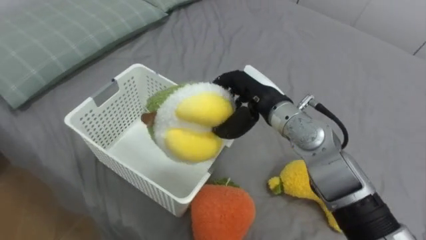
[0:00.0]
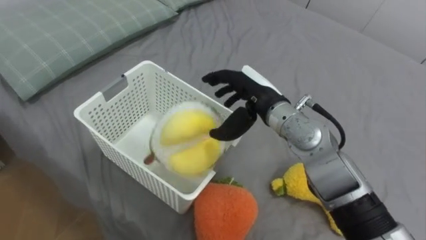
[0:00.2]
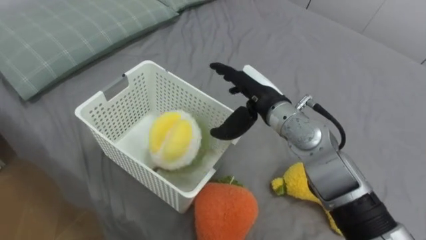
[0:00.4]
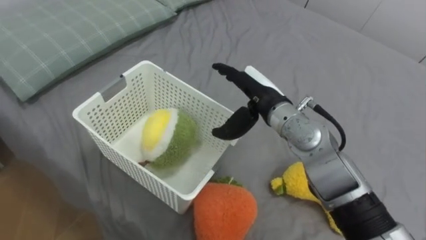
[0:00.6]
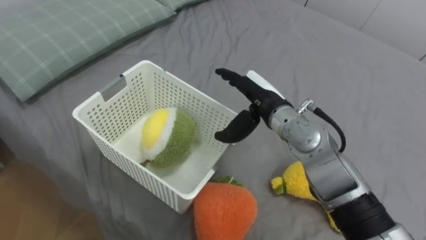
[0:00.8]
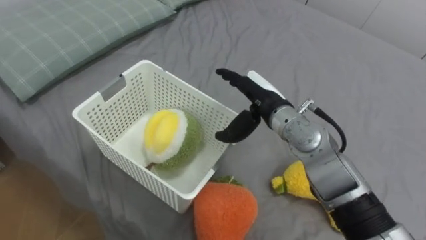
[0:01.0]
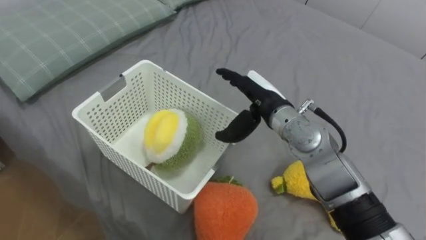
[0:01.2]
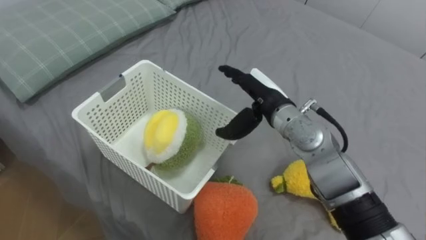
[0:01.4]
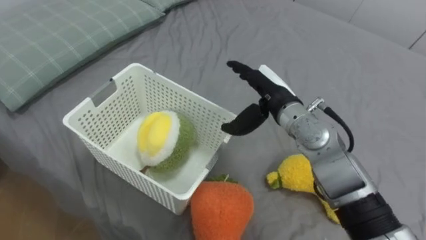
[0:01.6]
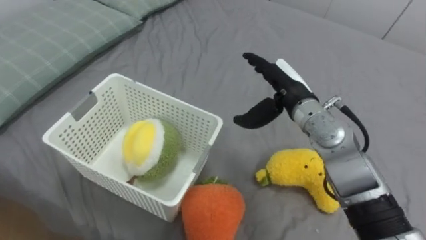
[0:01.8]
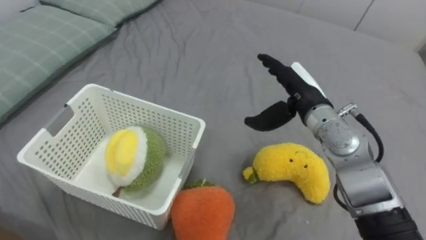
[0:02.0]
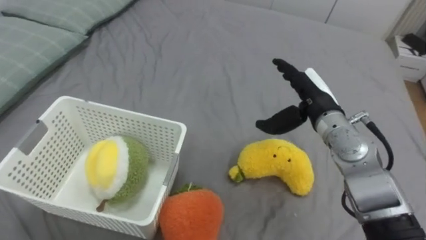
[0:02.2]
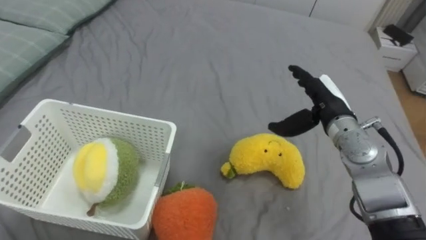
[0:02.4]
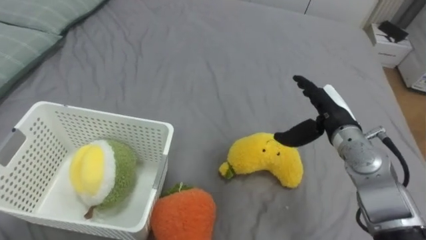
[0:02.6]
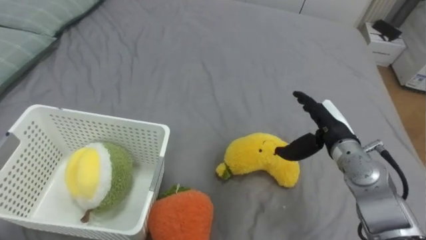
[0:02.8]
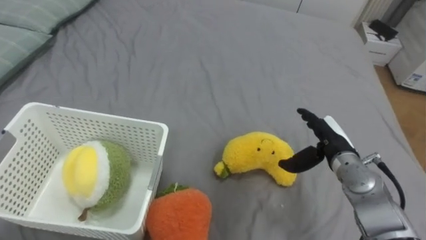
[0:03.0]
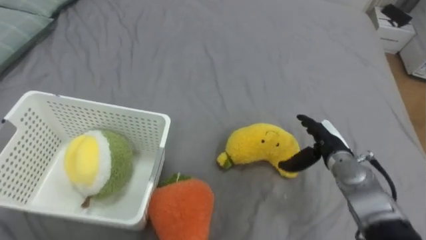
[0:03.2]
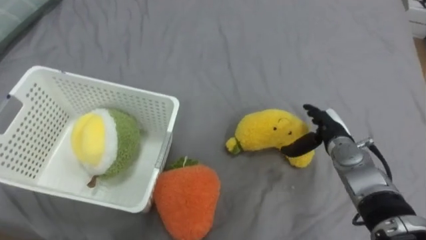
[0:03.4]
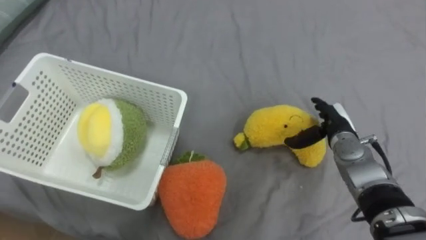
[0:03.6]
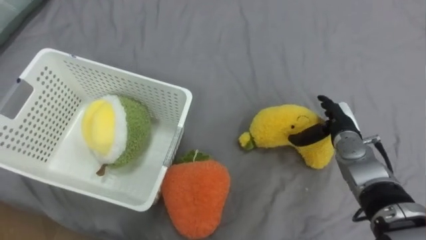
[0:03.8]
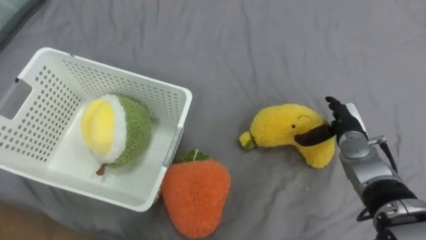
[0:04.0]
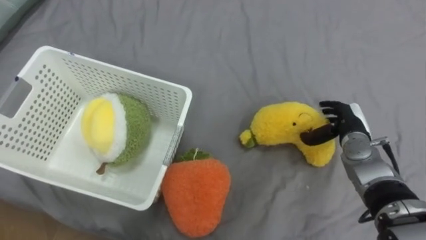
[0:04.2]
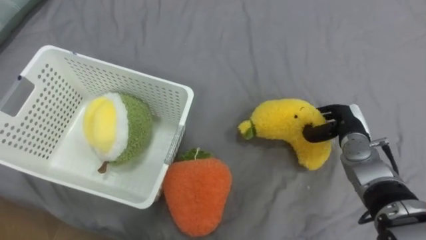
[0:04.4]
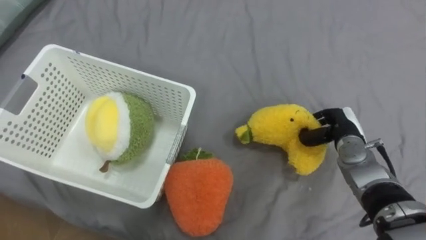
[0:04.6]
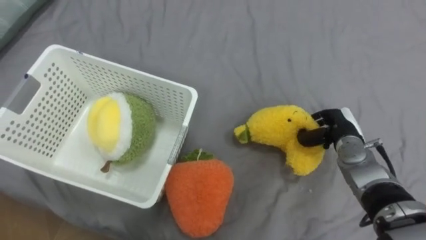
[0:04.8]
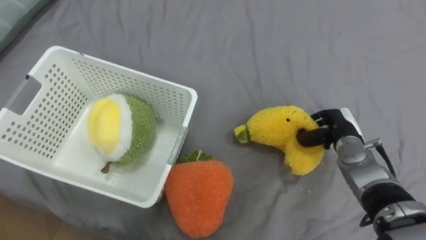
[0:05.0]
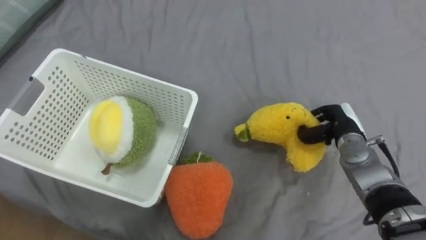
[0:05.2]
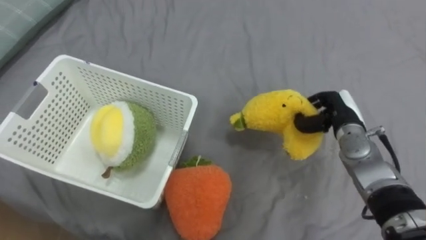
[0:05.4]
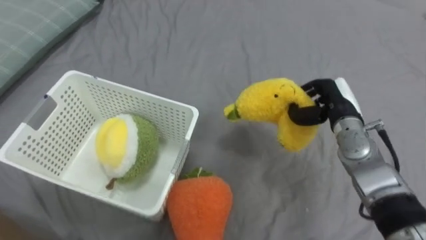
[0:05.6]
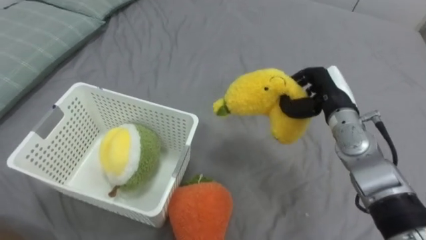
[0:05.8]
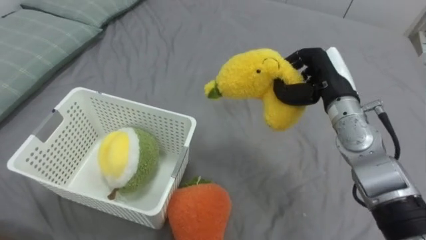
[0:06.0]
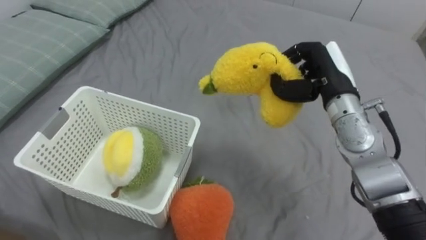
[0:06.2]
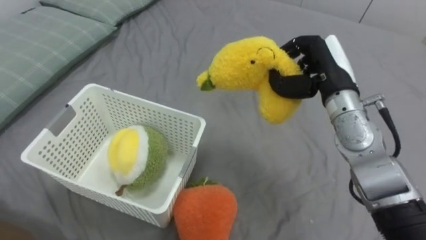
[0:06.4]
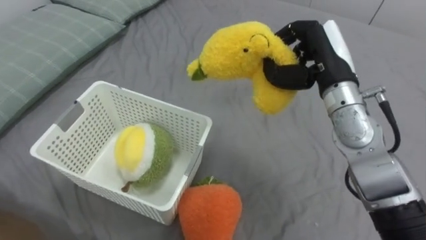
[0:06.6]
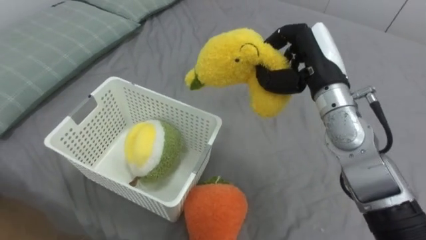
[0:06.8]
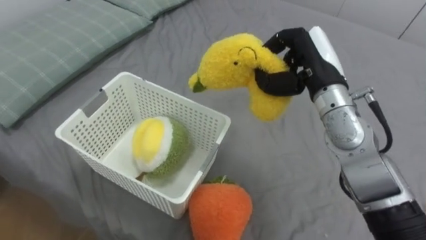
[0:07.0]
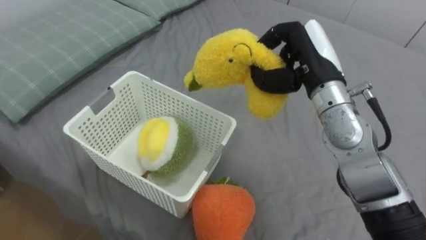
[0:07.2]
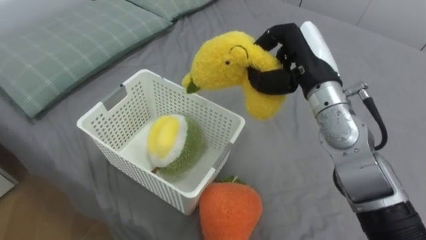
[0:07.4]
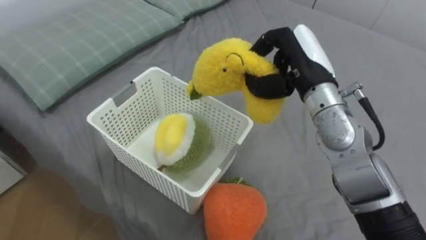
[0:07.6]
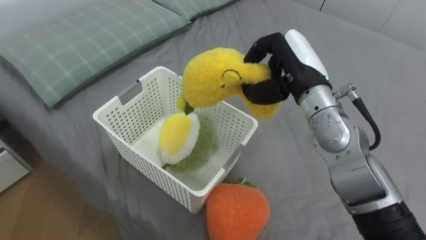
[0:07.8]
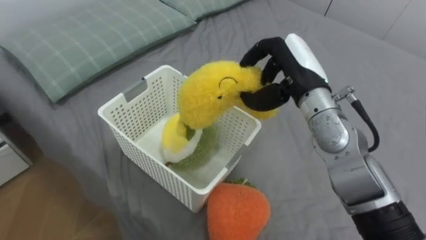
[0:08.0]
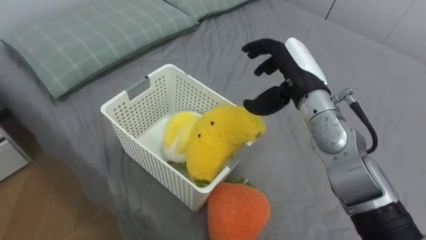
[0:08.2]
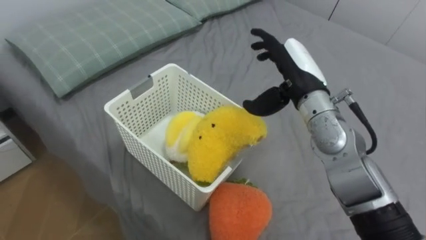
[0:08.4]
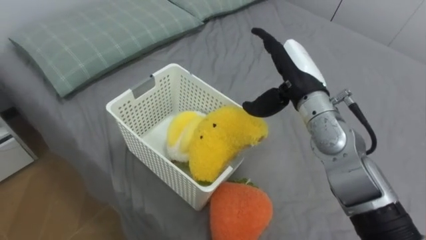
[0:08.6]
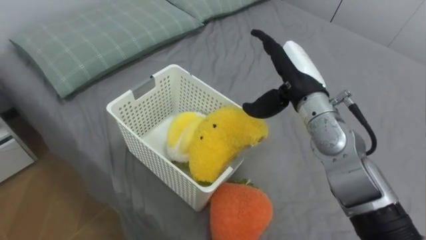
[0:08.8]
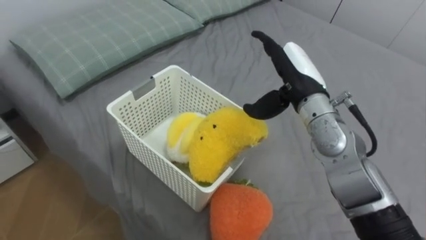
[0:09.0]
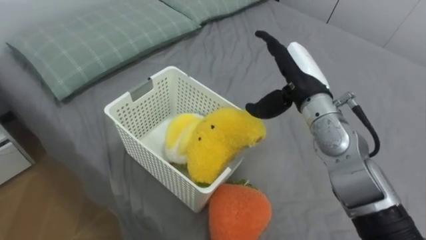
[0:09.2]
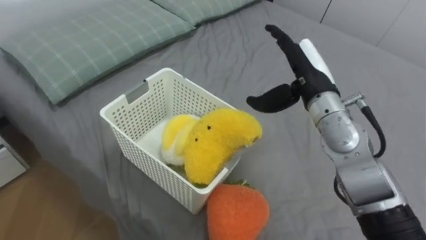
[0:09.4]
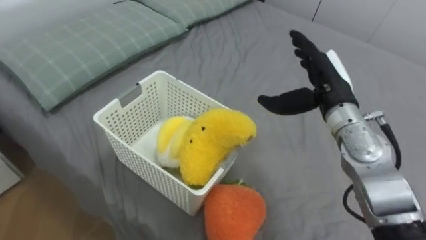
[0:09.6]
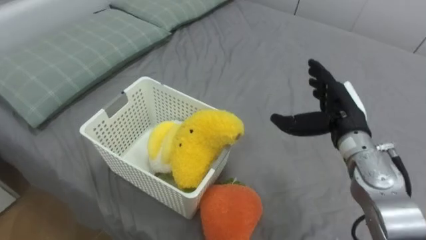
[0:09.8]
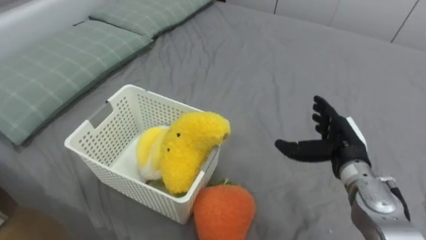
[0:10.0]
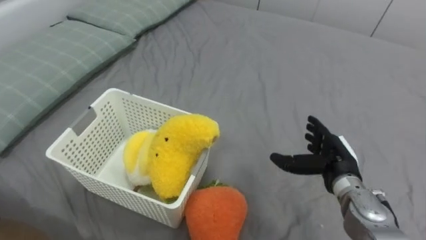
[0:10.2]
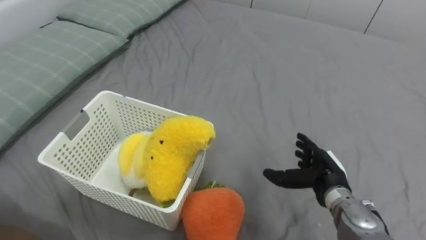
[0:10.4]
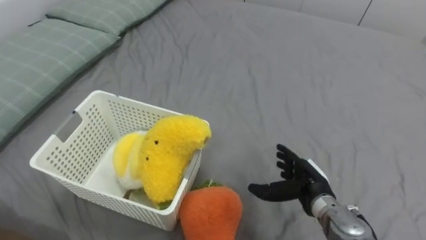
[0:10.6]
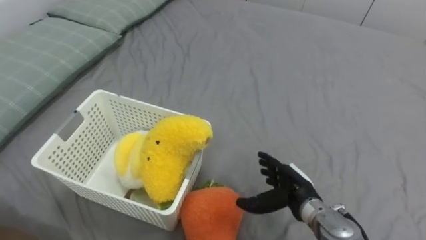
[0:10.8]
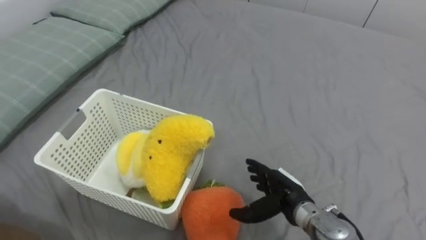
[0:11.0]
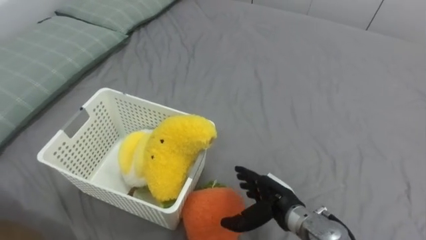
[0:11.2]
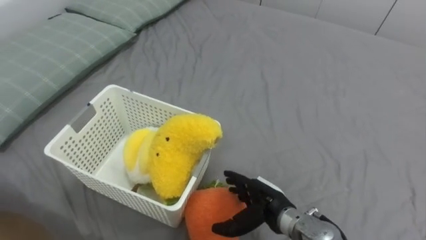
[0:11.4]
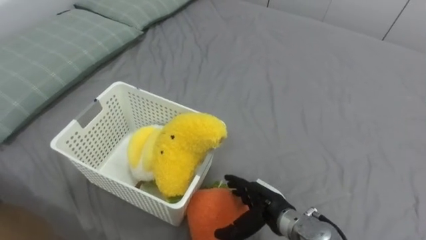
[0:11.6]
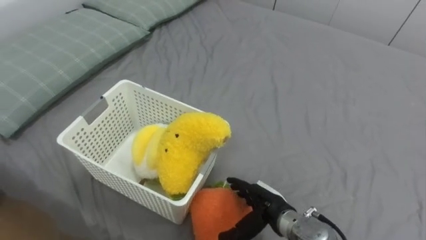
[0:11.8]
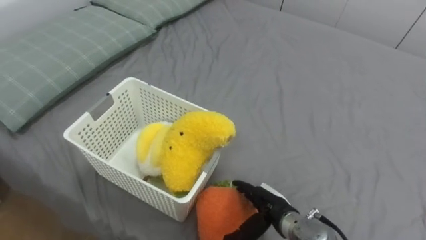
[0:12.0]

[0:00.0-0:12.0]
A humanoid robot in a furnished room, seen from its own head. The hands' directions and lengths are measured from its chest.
Task of the whole recording: Put the toys on the bed into the basket on the left.
0:00.0 to 0:01.6: The right hand opens.
0:01.6 to 0:03.0: The right hand moves to the right and downward, some 15 cm.
0:03.0 to 0:04.4: The right hand changes place by about 5 cm, and closes.
0:04.4 to 0:06.0: The right hand travels upward and to the left by some 15 cm.
0:06.0 to 0:07.6: The right hand travels to the left and upward by roughly 10 cm.
0:07.6 to 0:09.0: The right hand opens up.
0:09.0 to 0:10.4: The right hand shifts approximately 20 cm downward, backward and to the right.
0:10.4 to 0:12.0: The right hand shifts approximately 15 cm to the left, downward and backward.

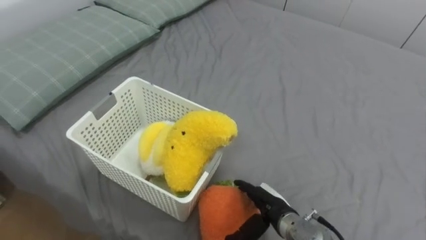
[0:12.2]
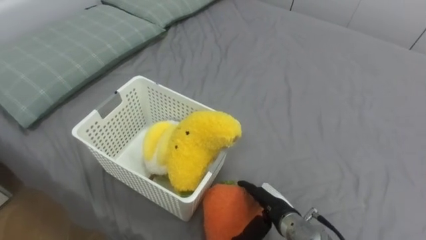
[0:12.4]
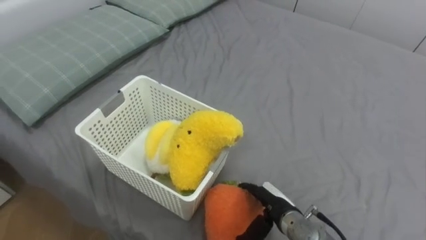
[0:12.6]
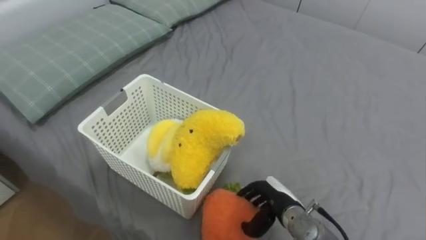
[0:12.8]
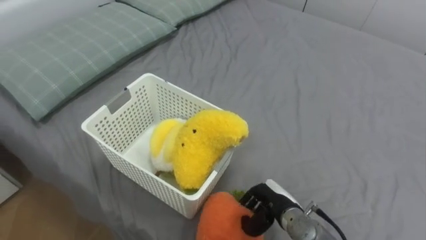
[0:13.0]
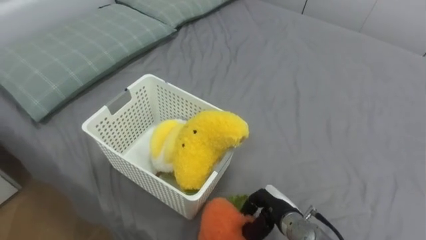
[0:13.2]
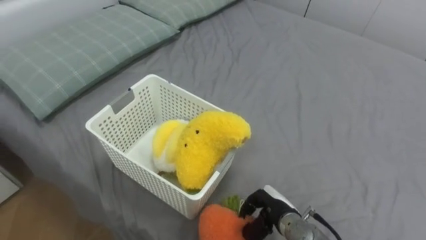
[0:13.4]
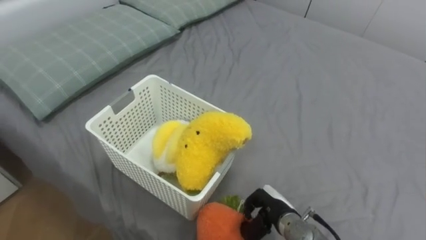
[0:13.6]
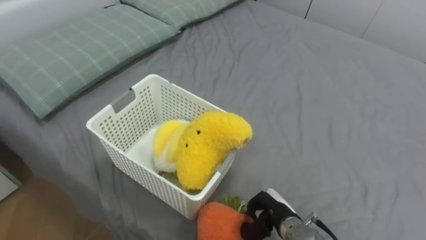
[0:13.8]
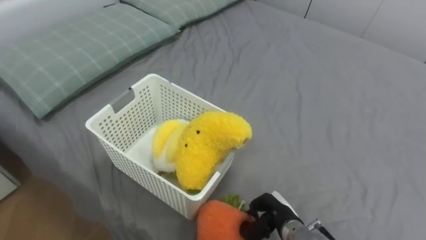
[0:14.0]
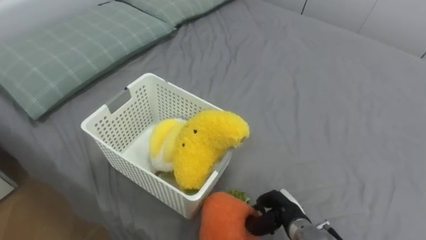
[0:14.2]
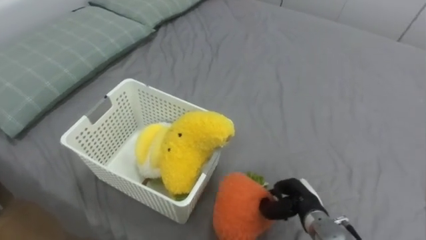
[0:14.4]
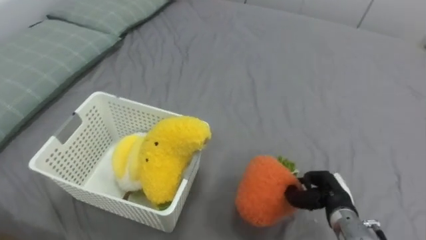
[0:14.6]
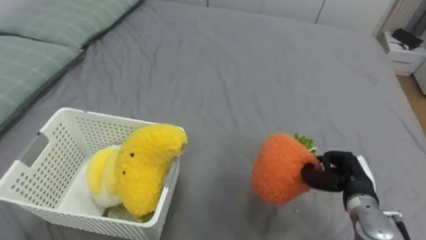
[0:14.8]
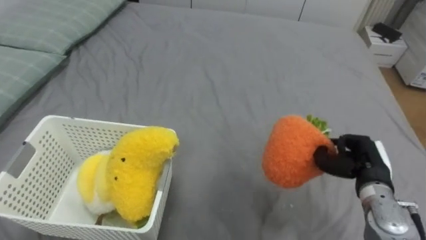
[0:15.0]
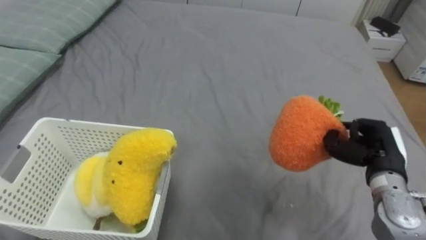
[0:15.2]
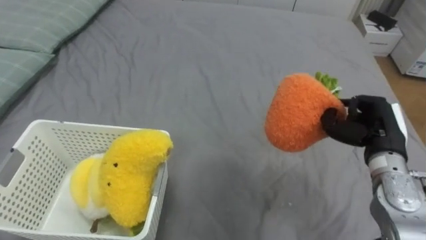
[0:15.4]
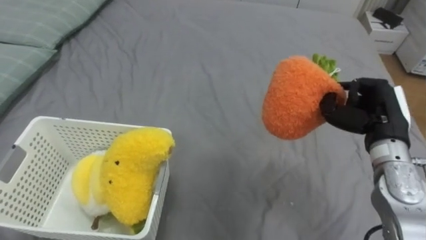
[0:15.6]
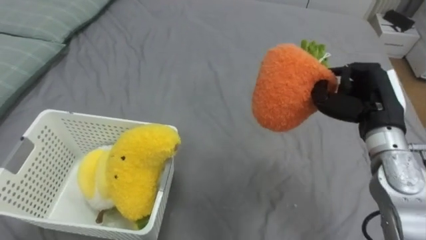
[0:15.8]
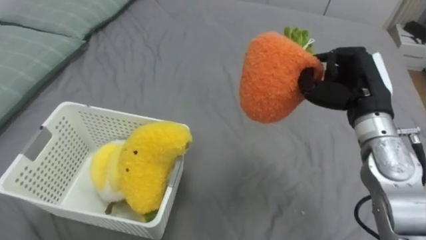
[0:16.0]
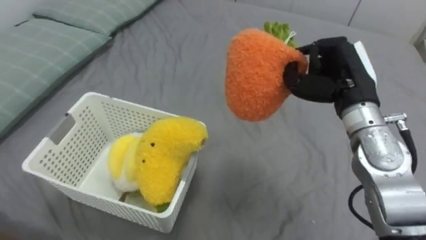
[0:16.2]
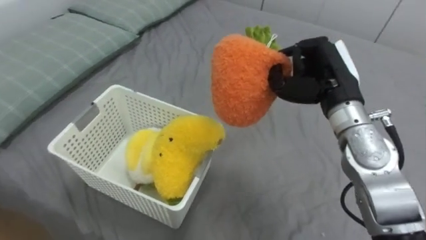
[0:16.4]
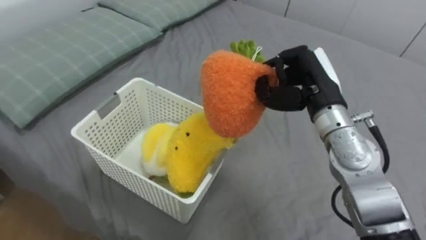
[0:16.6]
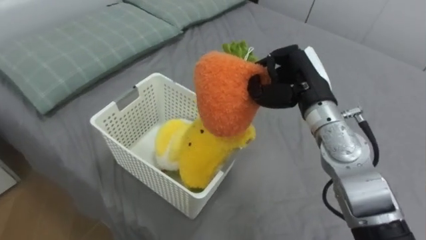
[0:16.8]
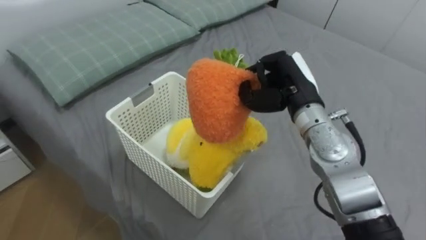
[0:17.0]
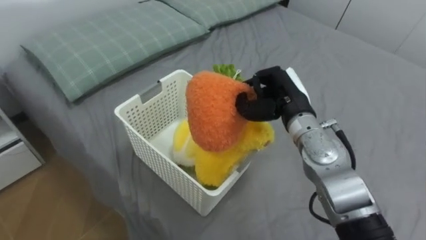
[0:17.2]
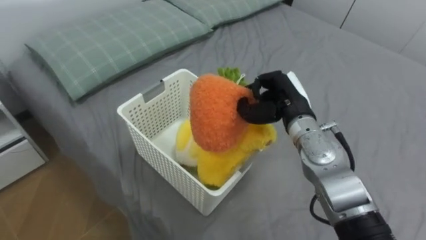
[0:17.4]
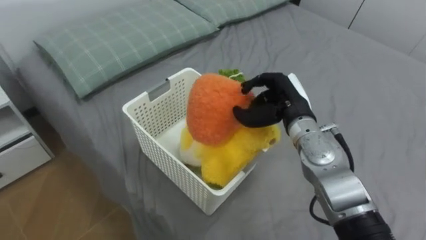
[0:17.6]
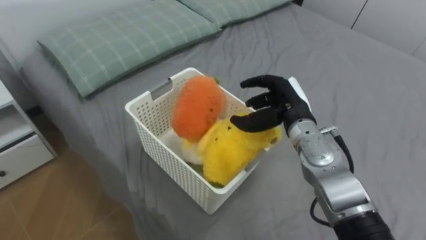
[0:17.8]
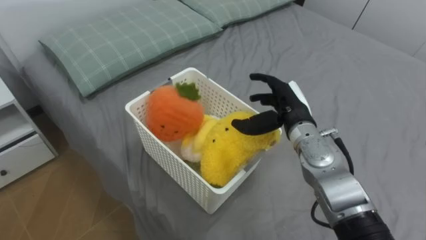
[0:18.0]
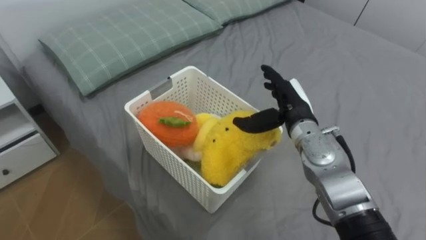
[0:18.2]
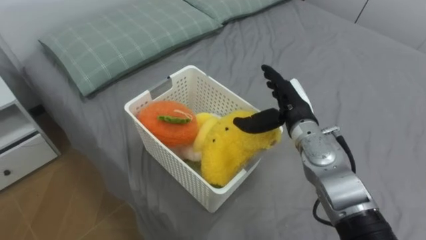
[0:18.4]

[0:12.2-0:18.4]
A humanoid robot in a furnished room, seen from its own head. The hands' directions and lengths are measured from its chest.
Task of the whole recording: Put the toys on the bed into the basket on the left.
0:12.2 to 0:13.8: The right hand closes up.
0:13.8 to 0:15.4: The right hand is displaced upward and to the right by approximately 25 cm.
0:15.4 to 0:16.8: The right hand shifts some 15 cm to the left, upward and forward.
0:16.8 to 0:18.4: The right hand moves downward, roughly 5 cm, and opens its fingers.
